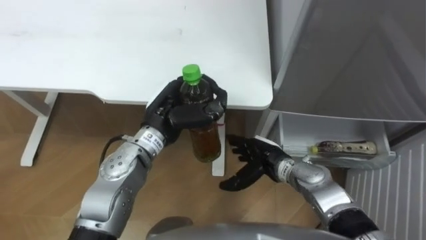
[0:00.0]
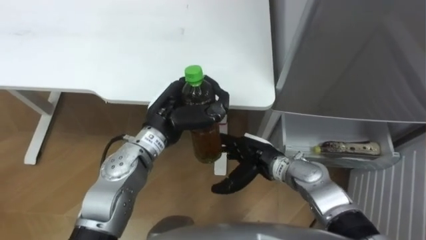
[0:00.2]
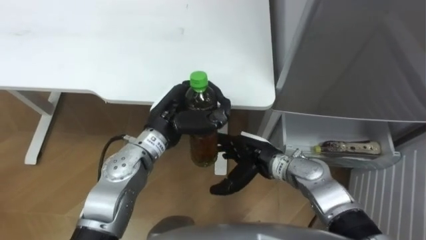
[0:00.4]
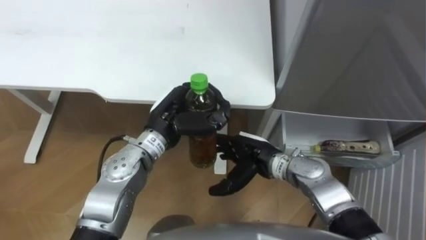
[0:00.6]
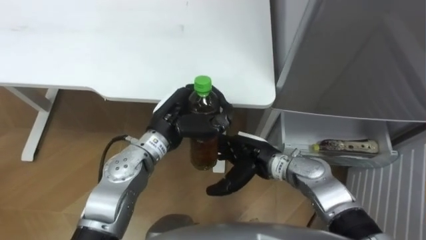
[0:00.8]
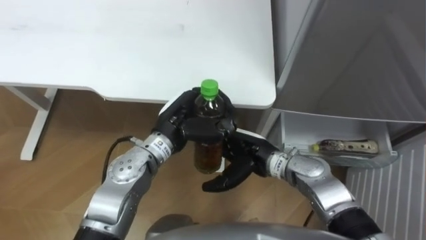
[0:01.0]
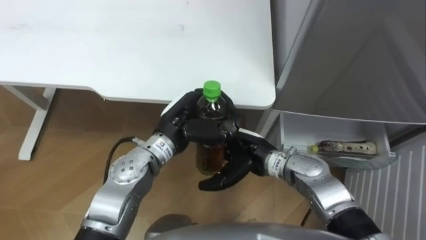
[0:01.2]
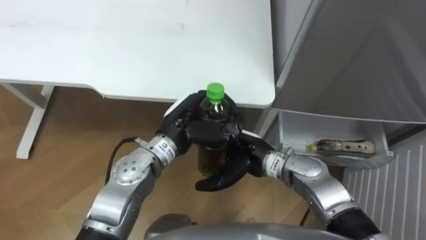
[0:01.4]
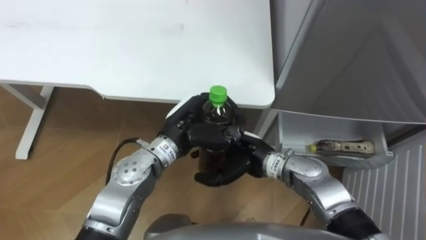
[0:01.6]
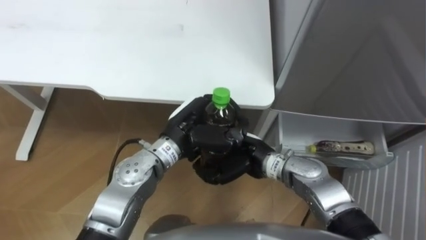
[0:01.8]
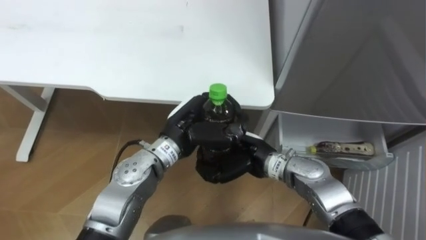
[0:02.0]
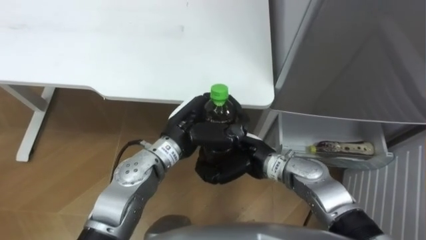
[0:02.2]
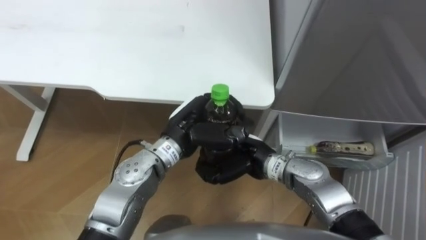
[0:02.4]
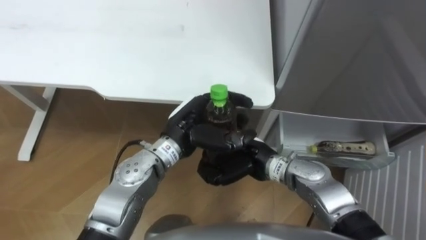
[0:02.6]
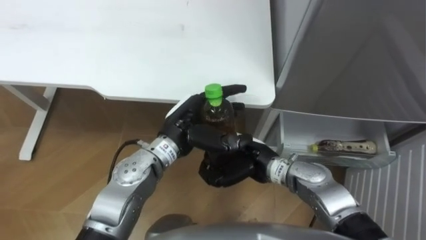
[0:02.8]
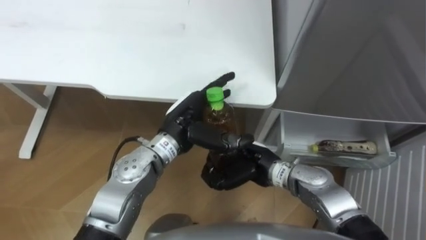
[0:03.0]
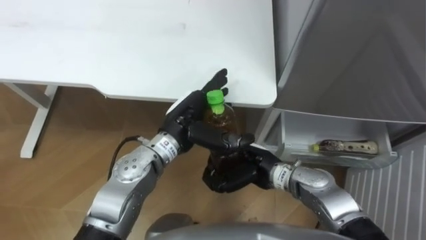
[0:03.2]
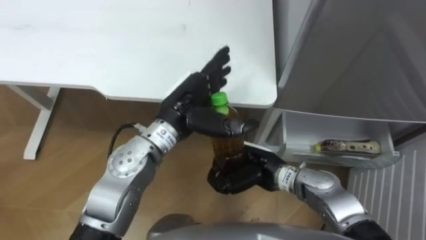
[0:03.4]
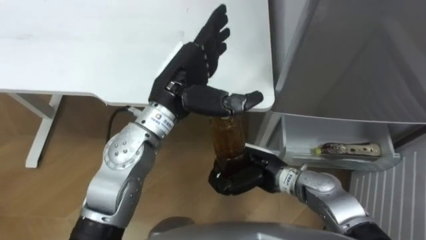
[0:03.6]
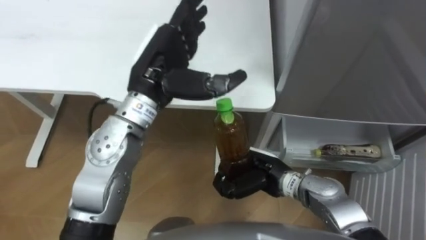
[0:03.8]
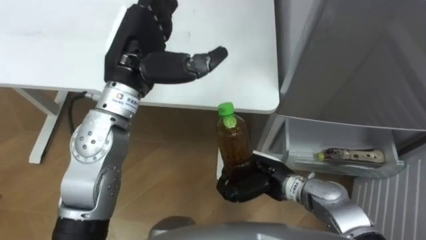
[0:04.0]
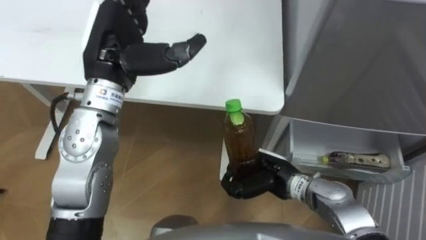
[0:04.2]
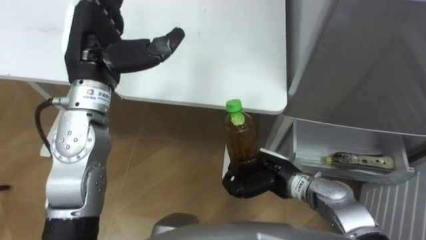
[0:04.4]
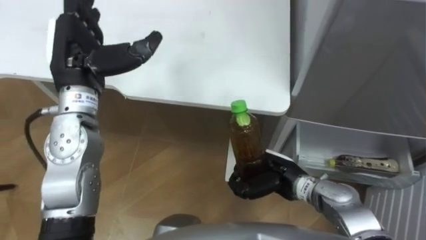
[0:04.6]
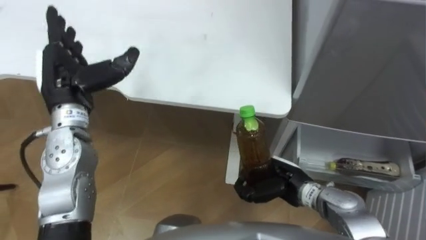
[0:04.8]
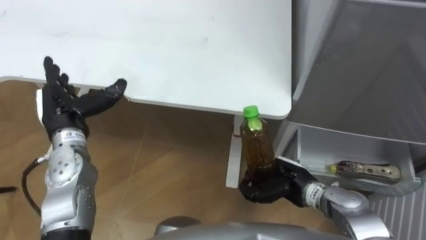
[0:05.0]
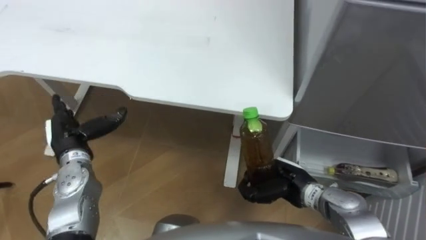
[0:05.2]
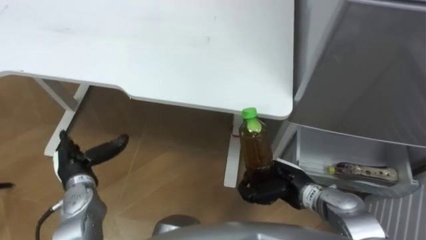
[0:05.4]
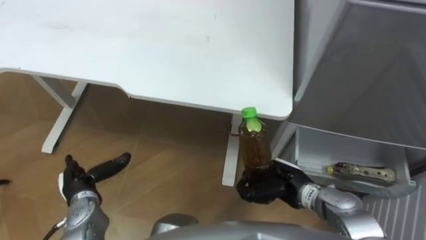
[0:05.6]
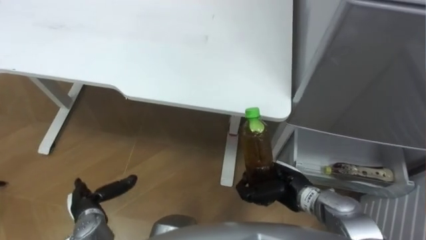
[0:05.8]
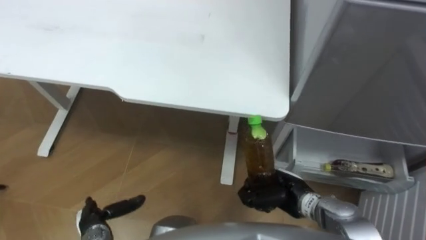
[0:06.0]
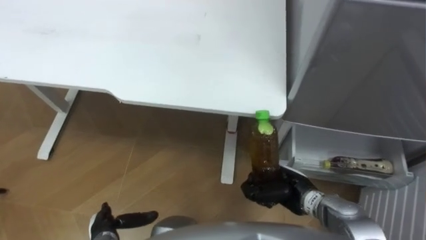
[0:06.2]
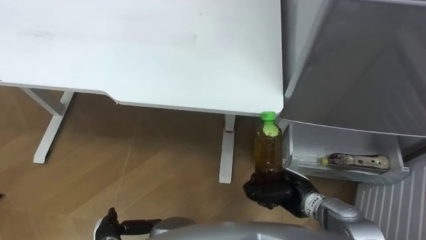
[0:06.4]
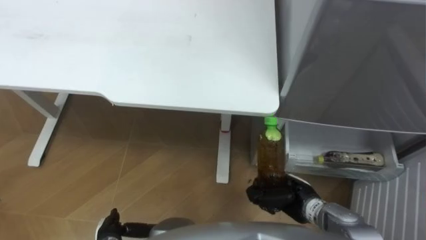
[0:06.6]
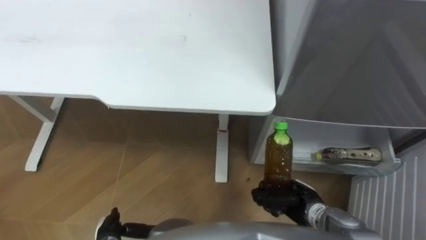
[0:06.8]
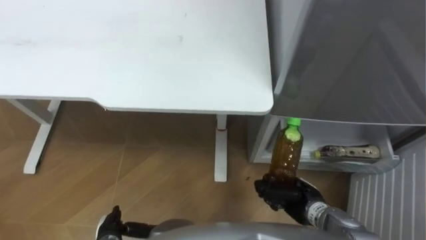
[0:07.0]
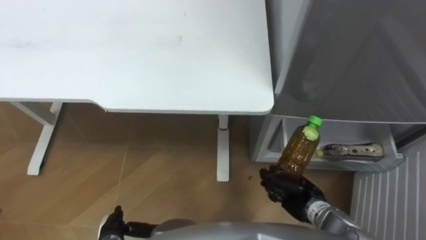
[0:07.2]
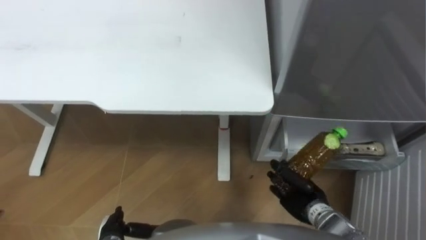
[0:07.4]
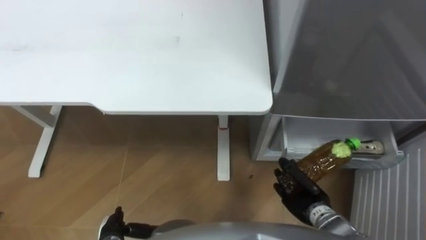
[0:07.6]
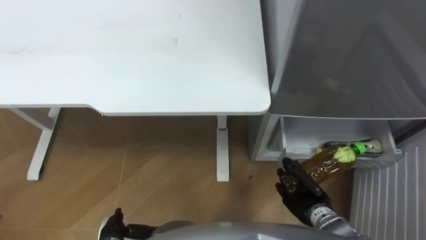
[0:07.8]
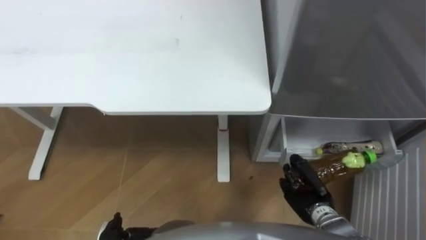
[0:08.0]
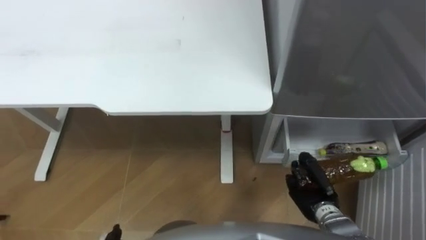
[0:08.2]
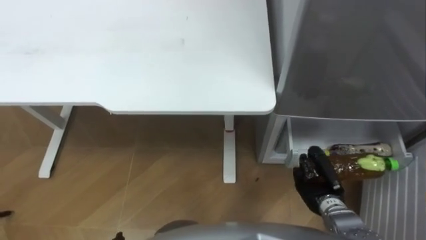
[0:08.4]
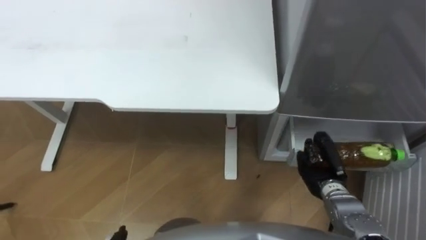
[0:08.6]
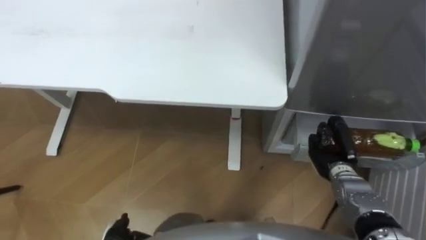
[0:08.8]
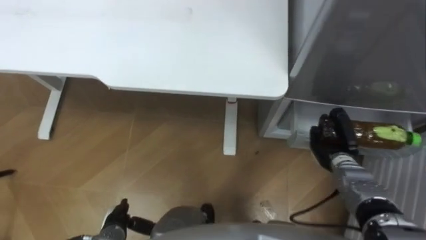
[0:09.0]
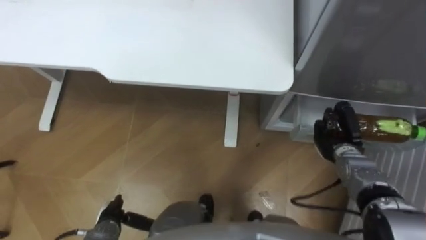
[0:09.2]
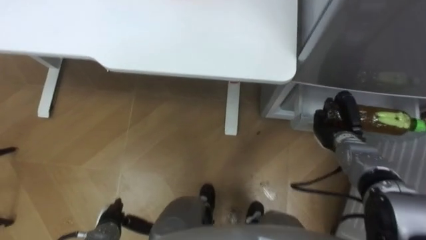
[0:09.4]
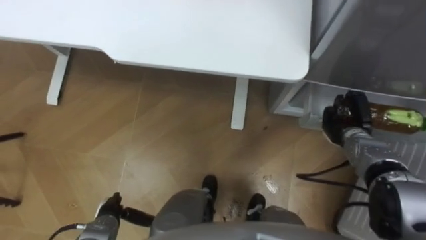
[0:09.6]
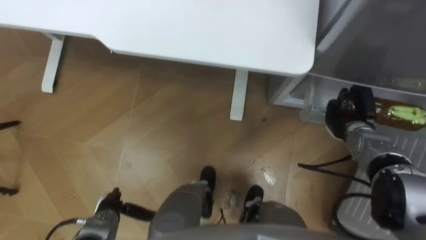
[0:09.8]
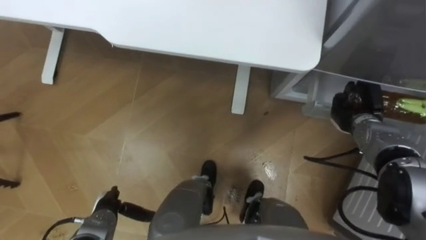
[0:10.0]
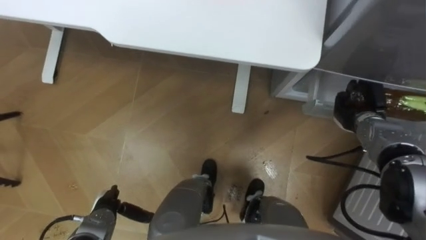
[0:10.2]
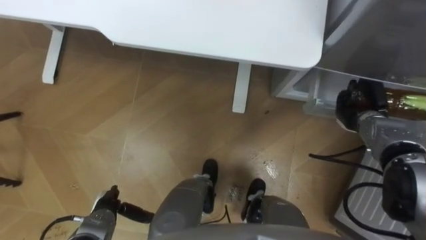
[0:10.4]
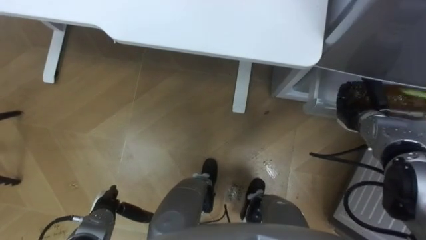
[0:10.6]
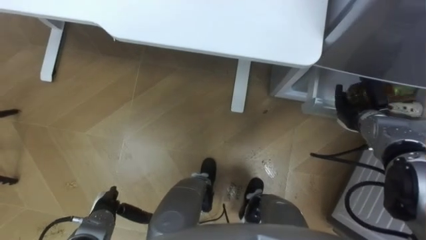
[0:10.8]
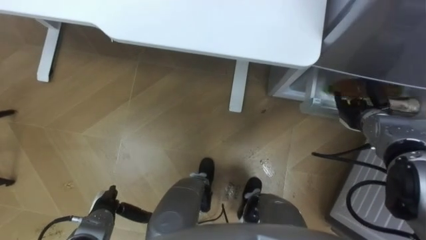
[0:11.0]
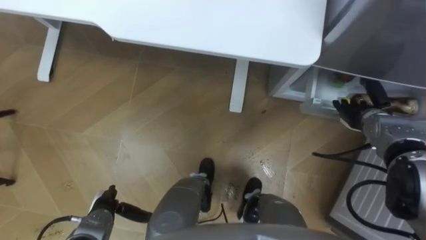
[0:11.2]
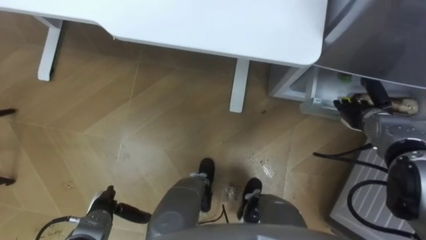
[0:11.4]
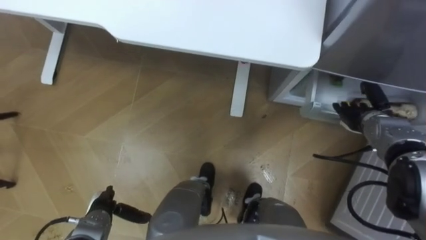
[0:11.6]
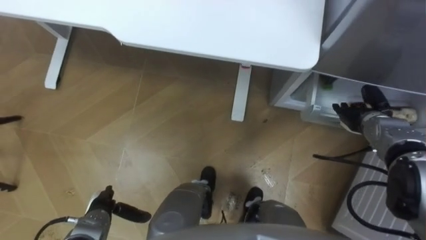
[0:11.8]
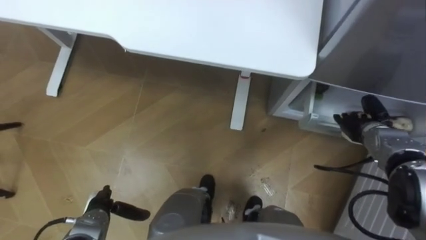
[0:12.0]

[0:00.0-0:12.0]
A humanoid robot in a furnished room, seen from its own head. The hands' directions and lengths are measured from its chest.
Task of the whole recording: Place the drink on the table on the bottom shelf of the refrigerator, then close the drawer and the refrigerator door.
0:00.0 to 0:01.6: The right hand heads upward and to the left, covering approximately 10 cm.
0:01.6 to 0:03.0: The left hand opens its fingers. The right hand closes up.
0:03.0 to 0:04.4: The right hand changes place by approximately 5 cm, while the left hand heads upward and to the left, covering about 20 cm.
0:04.4 to 0:06.0: The right hand shifts by some 5 cm, while the left hand goes approximately 40 cm downward and backward.
0:06.0 to 0:07.6: The left hand moves about 5 cm, while the right hand moves roughly 5 cm.
0:07.6 to 0:09.0: The right hand moves forward and to the right, some 10 cm.
0:09.0 to 0:10.4: The right hand moves forward and to the right, about 10 cm.
0:10.4 to 0:12.0: The right hand opens up.

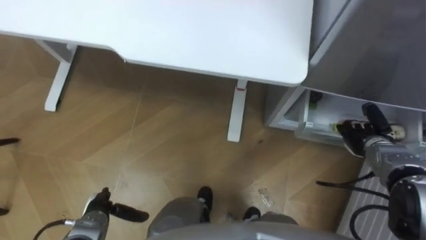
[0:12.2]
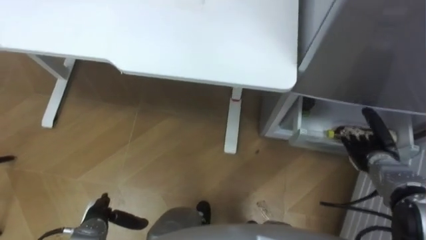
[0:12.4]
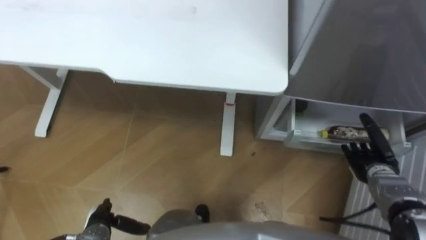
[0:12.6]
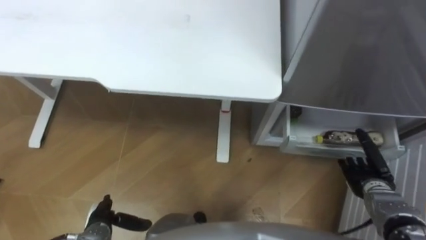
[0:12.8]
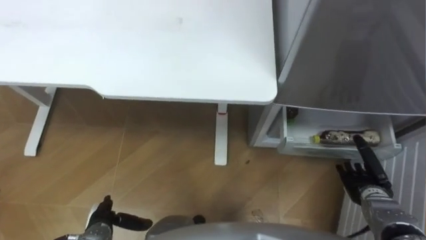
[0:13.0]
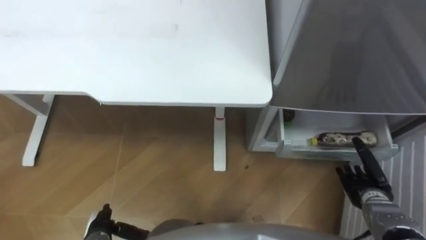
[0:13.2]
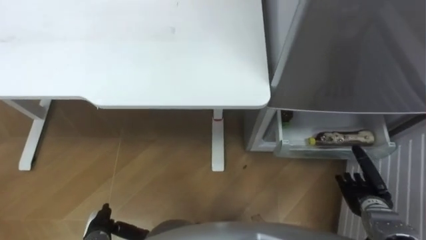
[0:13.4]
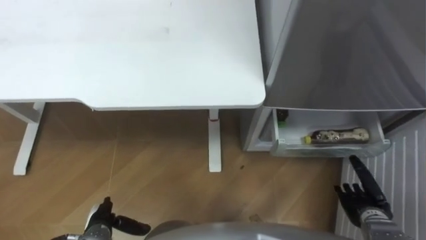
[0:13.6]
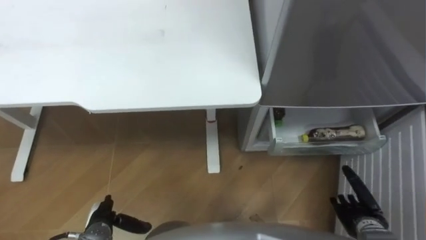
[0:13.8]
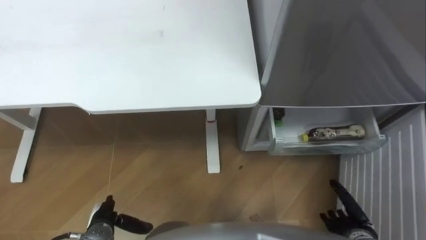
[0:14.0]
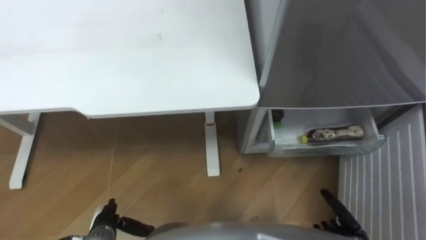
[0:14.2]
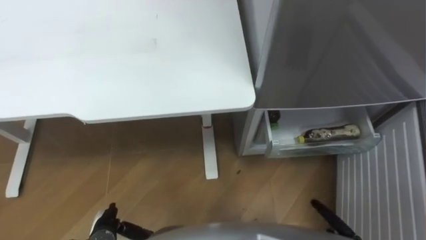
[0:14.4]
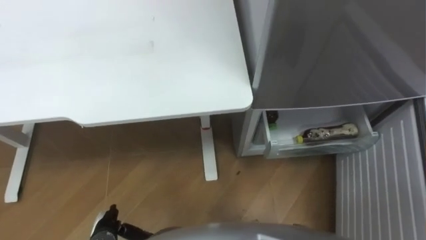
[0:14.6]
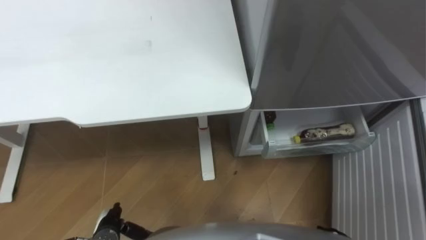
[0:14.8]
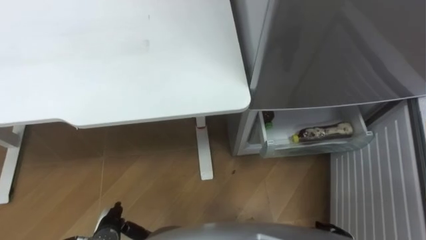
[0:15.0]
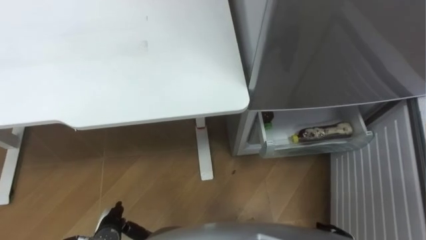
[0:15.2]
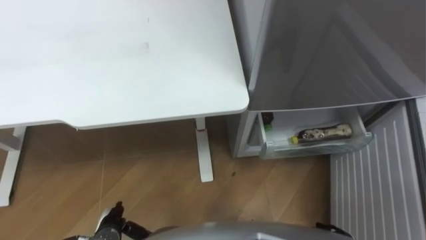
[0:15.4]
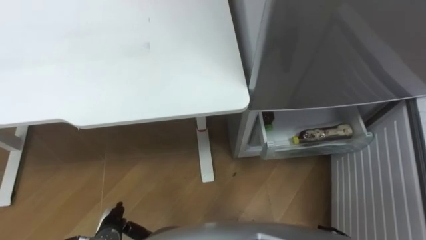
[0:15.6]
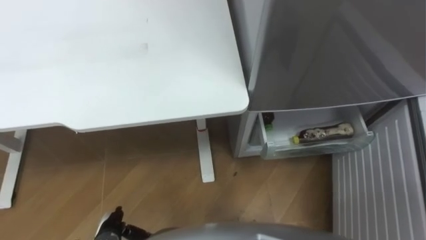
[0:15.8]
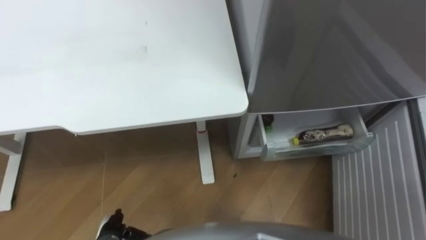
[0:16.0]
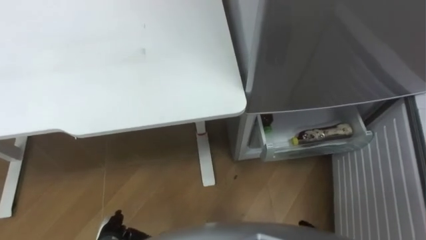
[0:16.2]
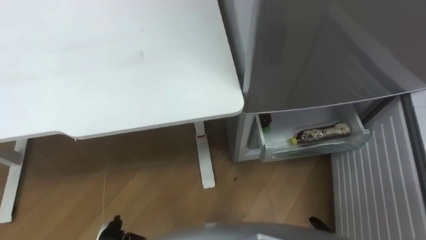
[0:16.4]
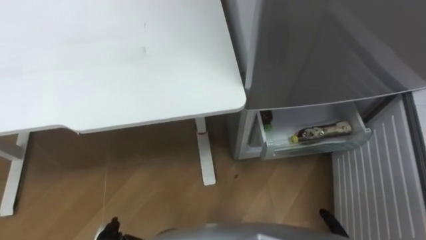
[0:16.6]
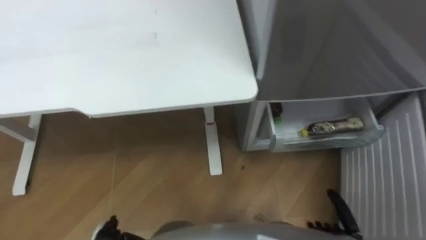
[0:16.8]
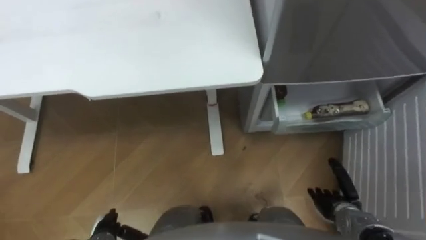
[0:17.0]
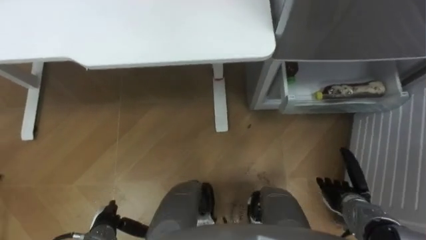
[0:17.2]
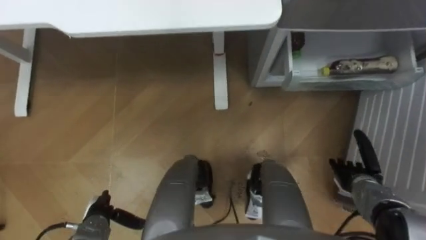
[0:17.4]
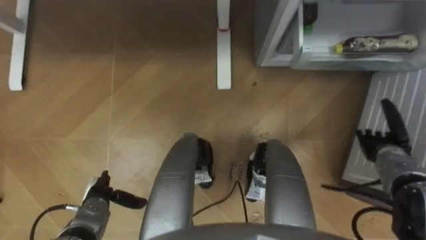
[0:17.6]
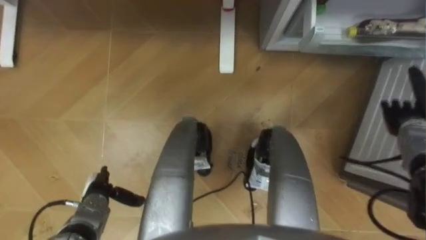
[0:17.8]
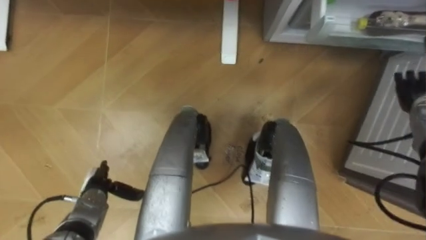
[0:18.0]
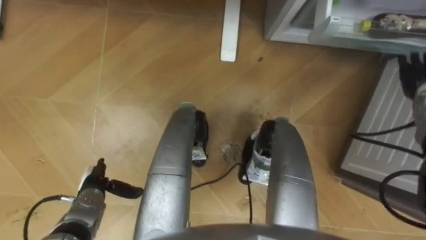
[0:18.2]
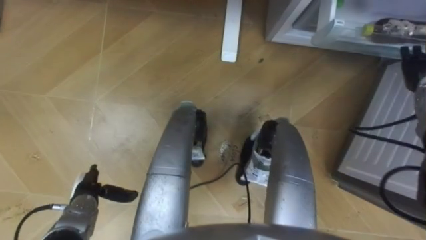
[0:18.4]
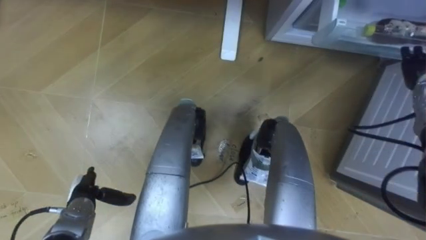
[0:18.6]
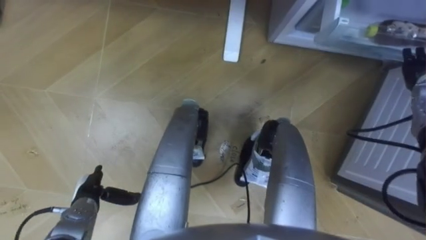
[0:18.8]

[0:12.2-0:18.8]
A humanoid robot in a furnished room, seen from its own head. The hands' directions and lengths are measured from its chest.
Task of the whole recording: Place the drink on the table on the bottom shelf of the refrigerator, then close the drawer and the refrigerator door.
0:12.2 to 0:13.8: The right hand goes roughly 20 cm backward and downward.
0:17.2 to 0:18.8: The left hand goes about 5 cm forward; the right hand is displaced forward, upward and to the right by some 30 cm.
